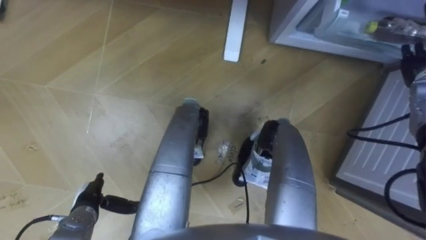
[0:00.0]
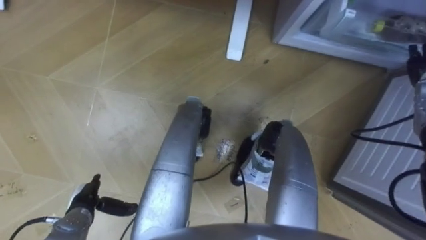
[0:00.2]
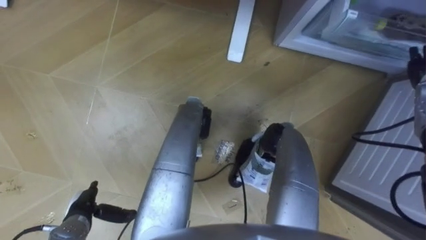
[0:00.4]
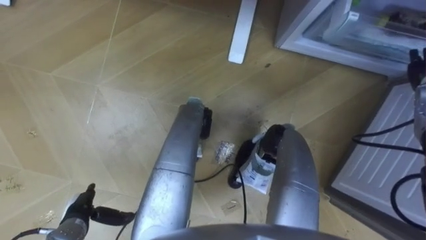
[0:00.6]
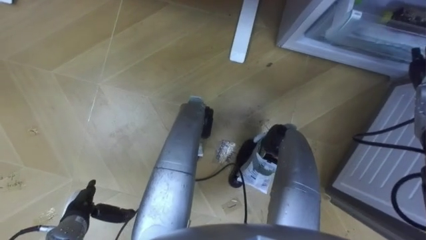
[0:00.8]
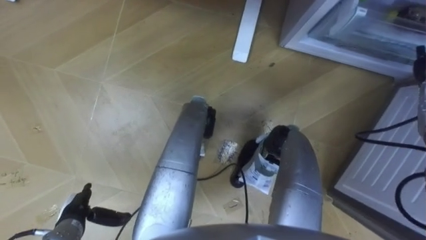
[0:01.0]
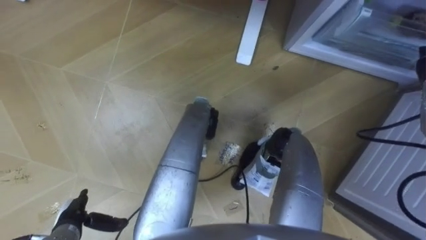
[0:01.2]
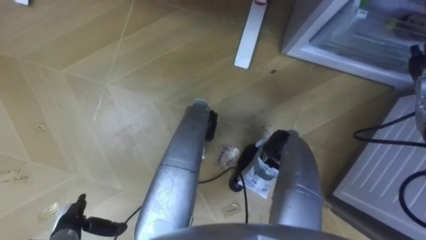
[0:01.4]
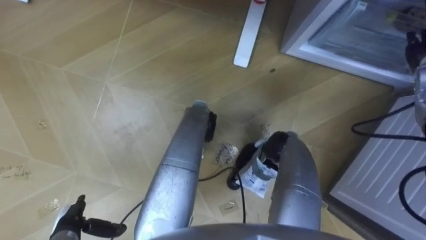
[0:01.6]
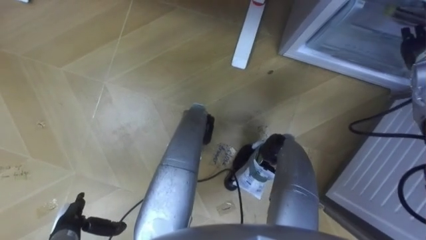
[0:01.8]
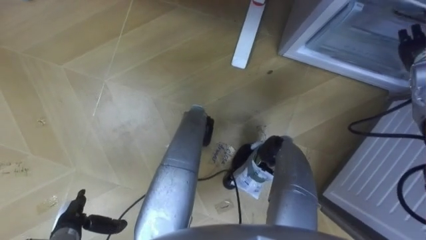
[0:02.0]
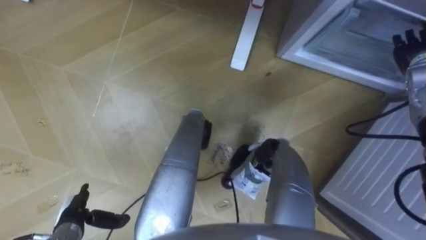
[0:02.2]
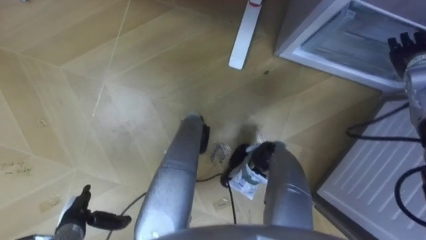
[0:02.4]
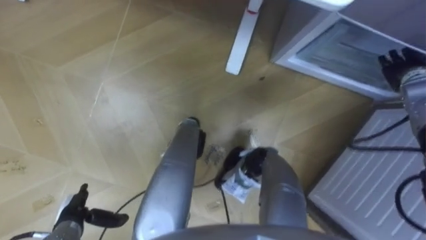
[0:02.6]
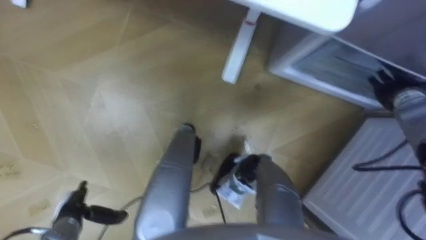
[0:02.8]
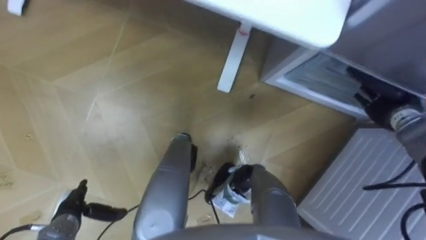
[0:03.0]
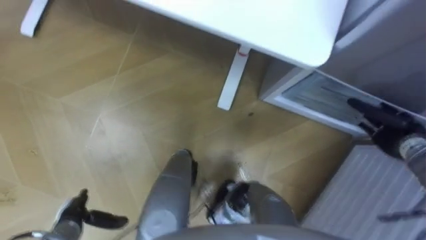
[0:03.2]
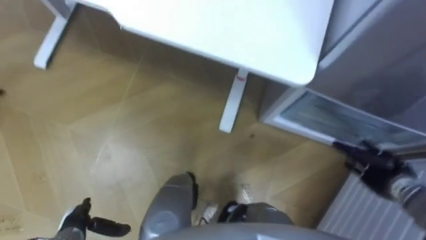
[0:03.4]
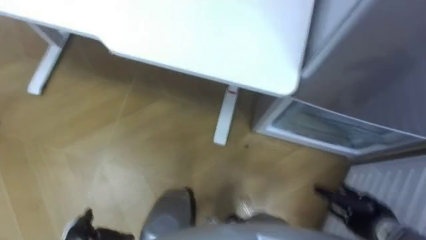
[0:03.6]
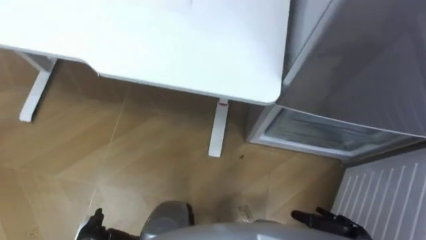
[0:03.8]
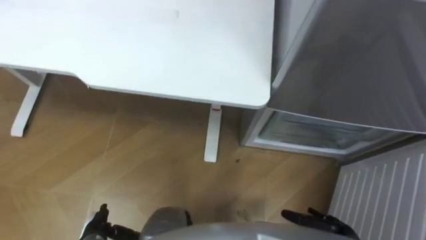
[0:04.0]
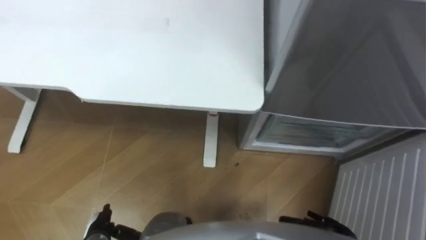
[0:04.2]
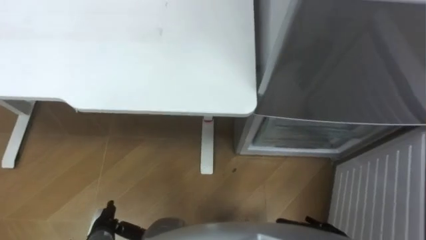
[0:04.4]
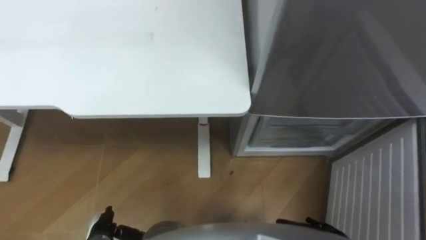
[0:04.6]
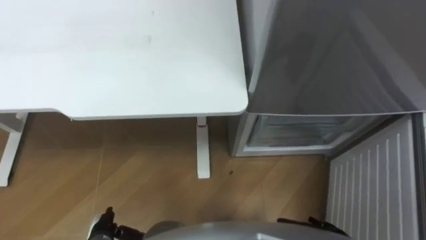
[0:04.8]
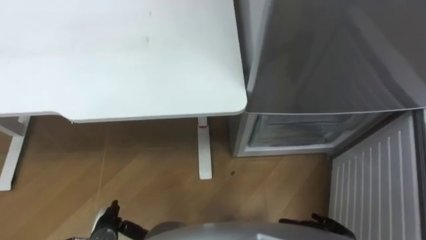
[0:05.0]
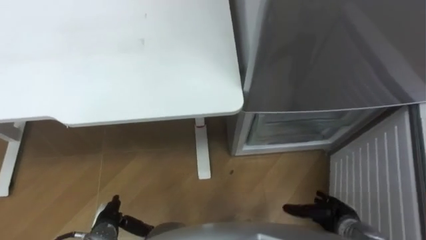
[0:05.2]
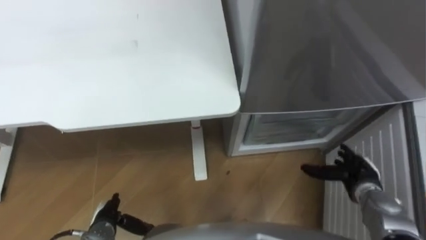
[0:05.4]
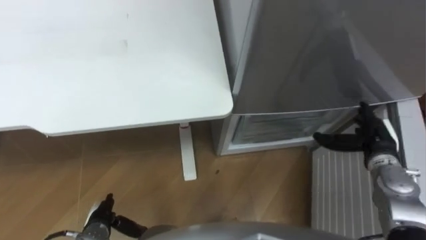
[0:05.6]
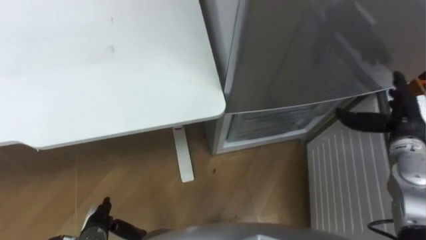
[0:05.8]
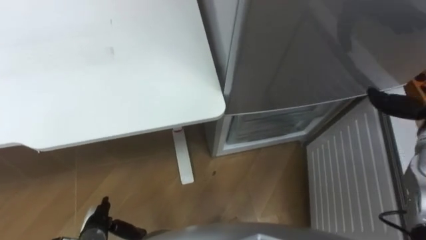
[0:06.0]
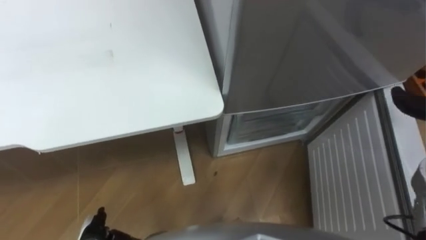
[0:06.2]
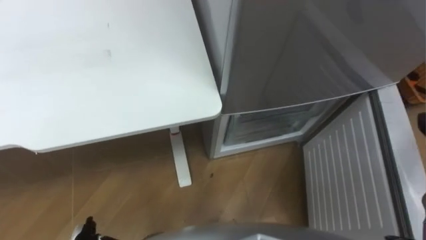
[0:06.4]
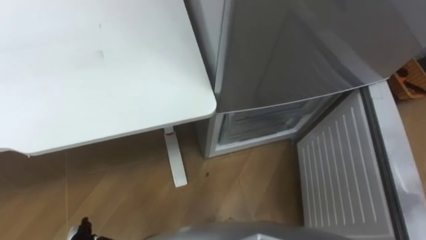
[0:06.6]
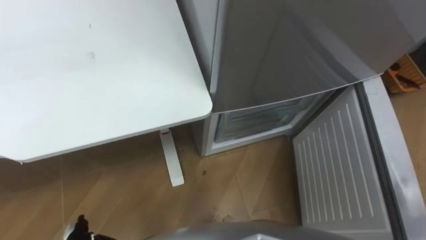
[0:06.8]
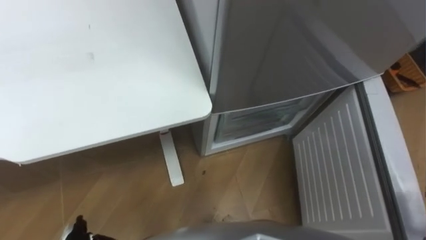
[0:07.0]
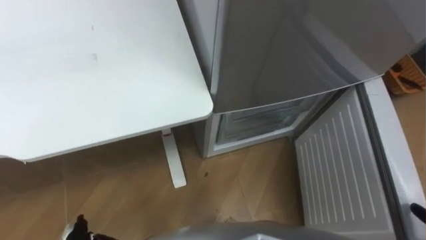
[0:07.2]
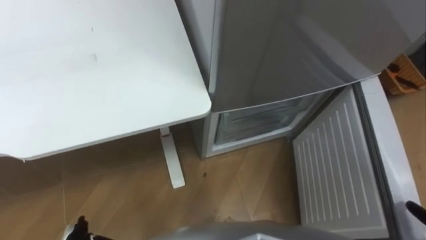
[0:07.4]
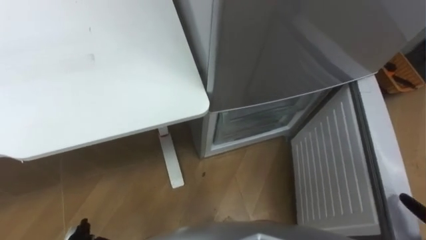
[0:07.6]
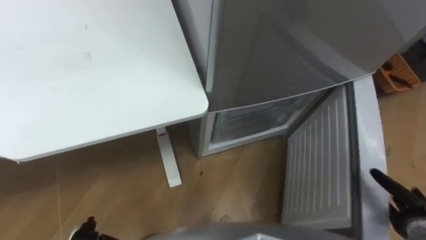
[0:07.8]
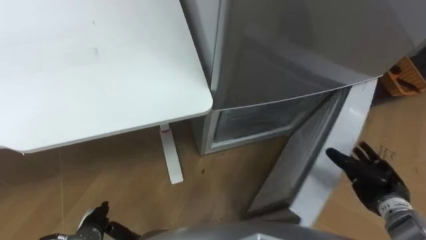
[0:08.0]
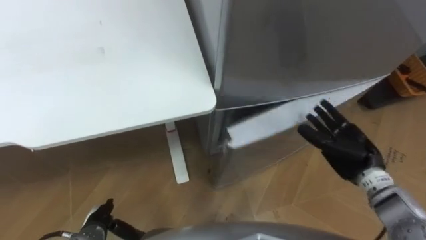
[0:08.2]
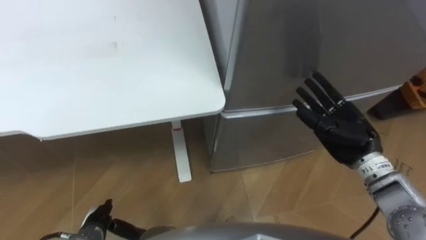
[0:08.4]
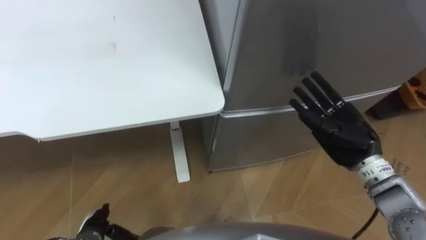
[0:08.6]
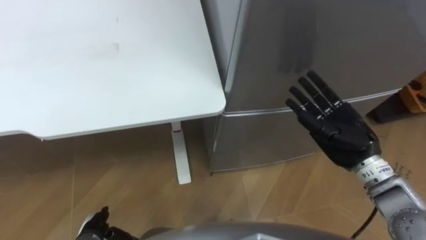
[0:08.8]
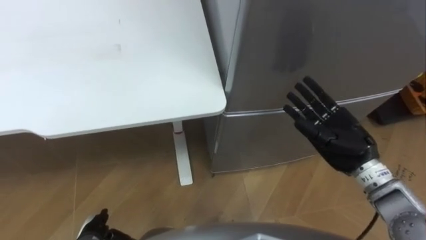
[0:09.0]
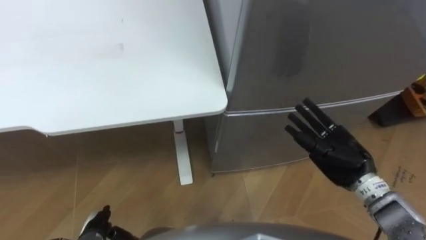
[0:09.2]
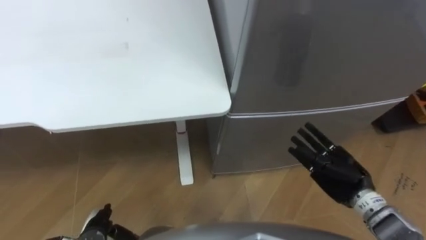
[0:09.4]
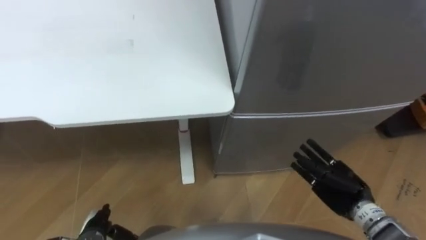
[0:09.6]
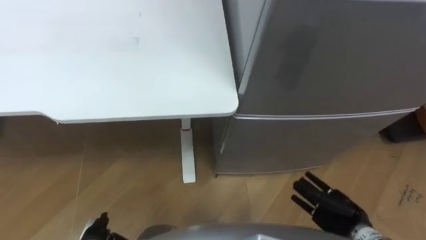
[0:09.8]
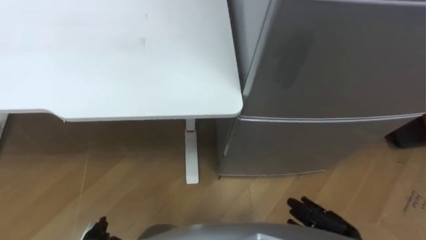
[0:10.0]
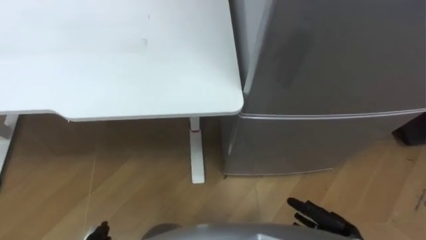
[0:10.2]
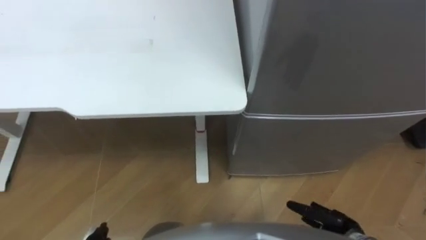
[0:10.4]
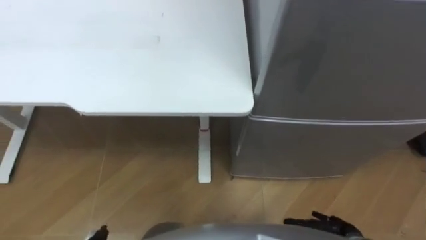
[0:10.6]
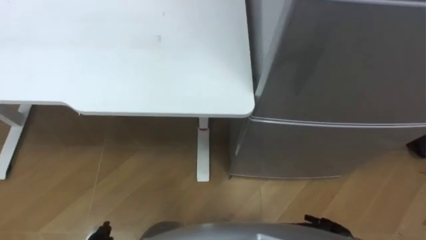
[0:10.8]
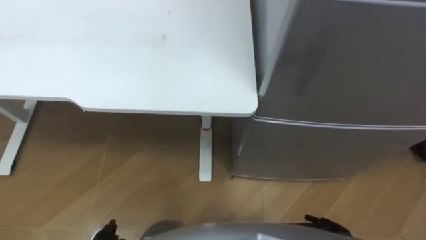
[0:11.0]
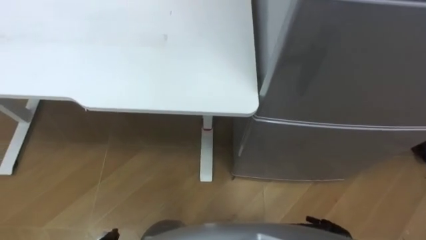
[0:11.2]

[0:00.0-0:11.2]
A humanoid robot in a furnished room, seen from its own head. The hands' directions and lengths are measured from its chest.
Task of the whole recording: Place the drink on the table on the bottom shelf of the refrigerator, then close the drawer and the refrigerator door.
0:00.0 to 0:01.6: The left hand goes about 5 cm backward.
0:01.6 to 0:03.2: The right hand heads downward and backward, covering approximately 15 cm.
0:03.2 to 0:04.8: The left hand moves to the right, about 5 cm.
0:08.0 to 0:09.6: The right hand heads to the left, covering approximately 10 cm, and moves roughly 10 cm upward and comes back.
0:09.6 to 0:11.2: The right hand moves backward and downward, approximately 15 cm.

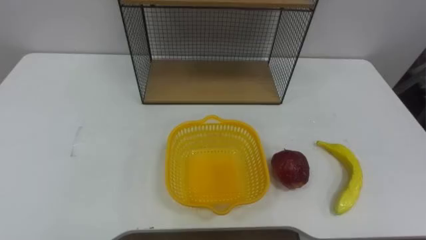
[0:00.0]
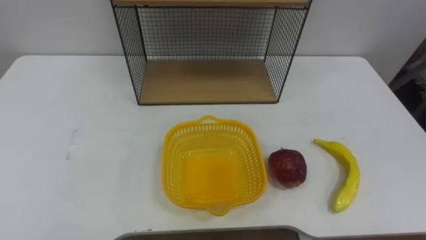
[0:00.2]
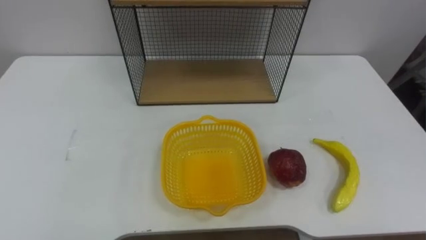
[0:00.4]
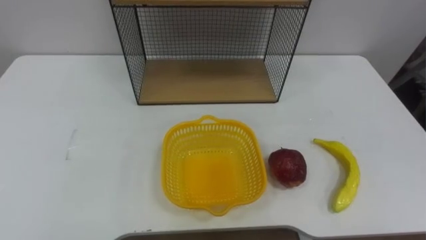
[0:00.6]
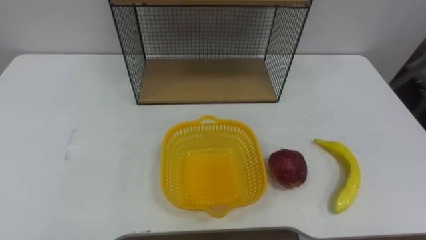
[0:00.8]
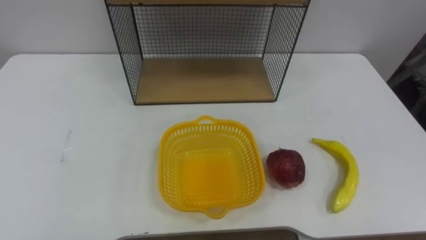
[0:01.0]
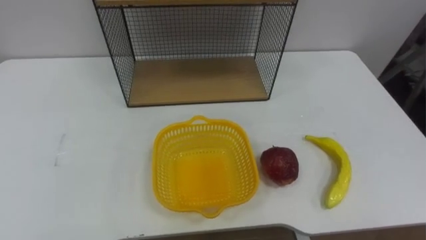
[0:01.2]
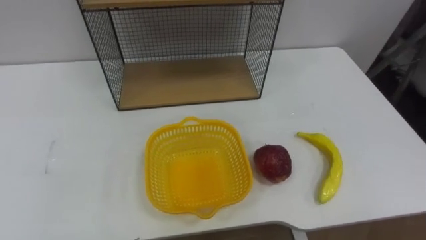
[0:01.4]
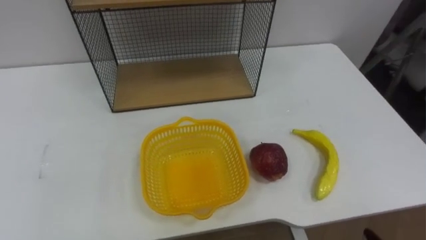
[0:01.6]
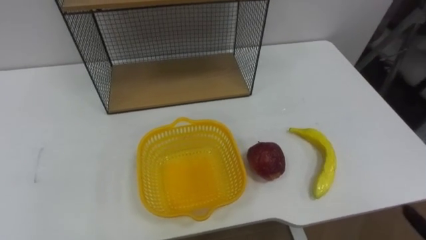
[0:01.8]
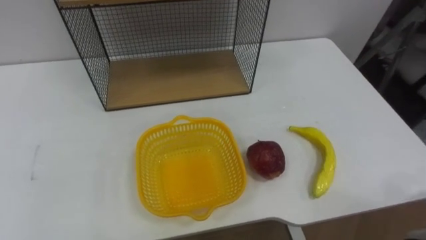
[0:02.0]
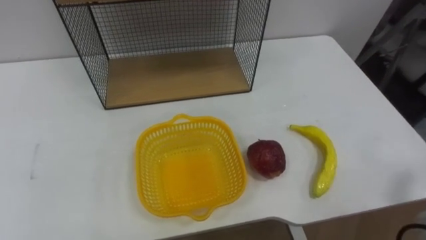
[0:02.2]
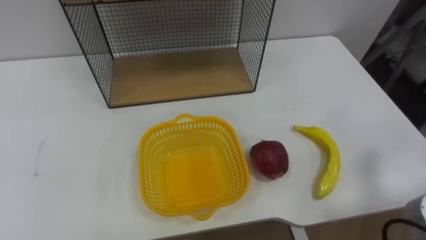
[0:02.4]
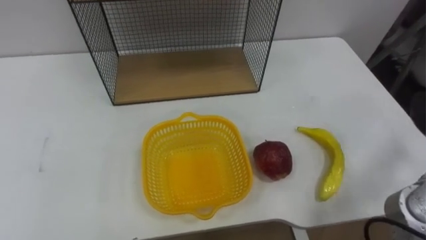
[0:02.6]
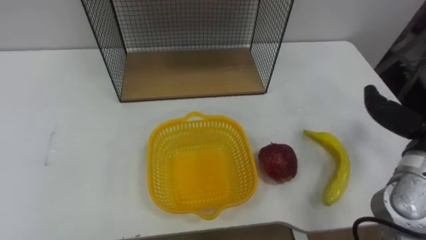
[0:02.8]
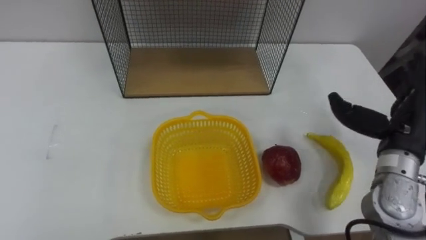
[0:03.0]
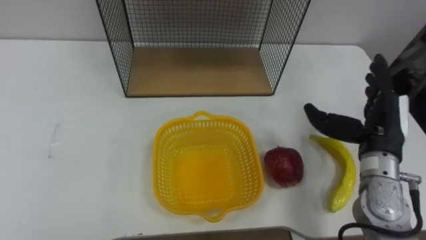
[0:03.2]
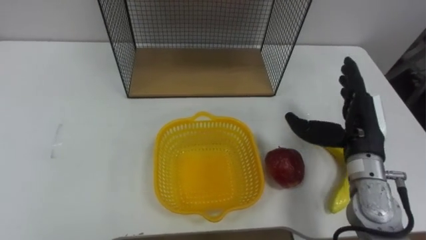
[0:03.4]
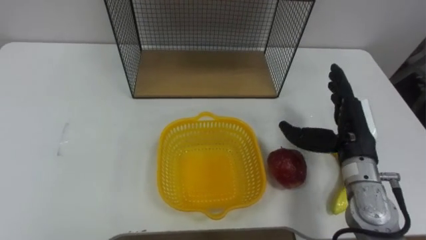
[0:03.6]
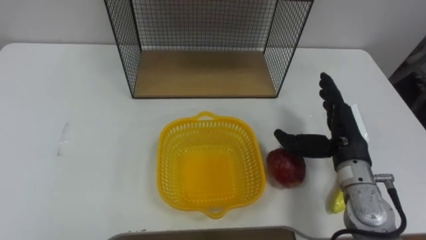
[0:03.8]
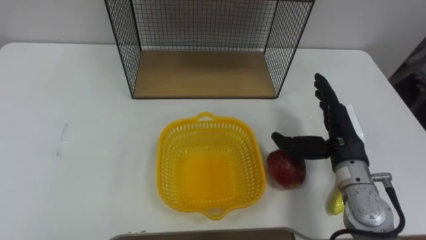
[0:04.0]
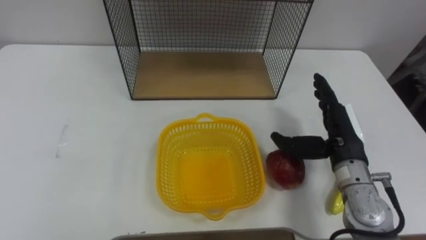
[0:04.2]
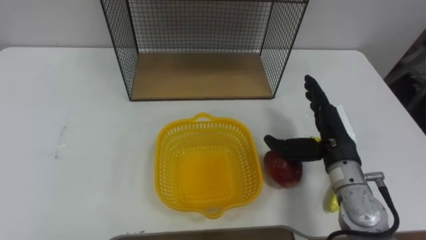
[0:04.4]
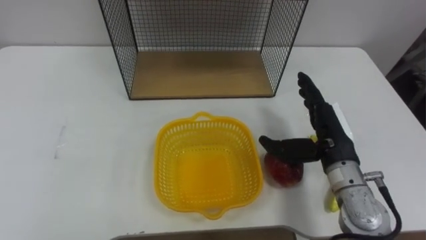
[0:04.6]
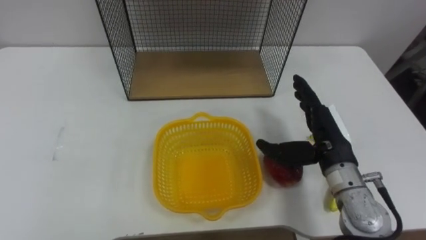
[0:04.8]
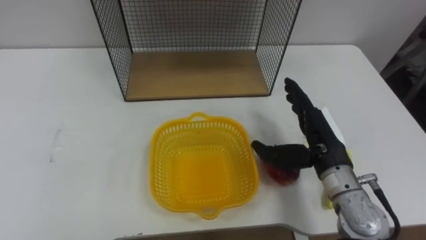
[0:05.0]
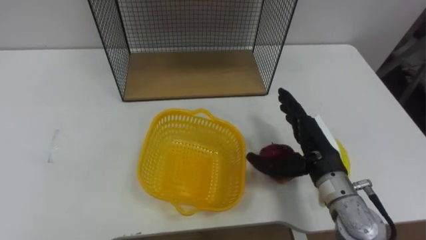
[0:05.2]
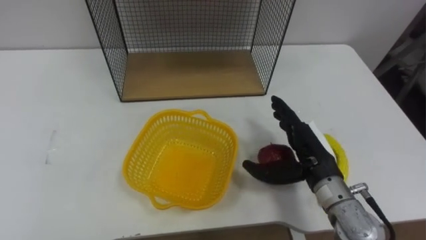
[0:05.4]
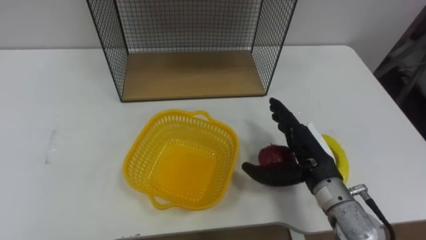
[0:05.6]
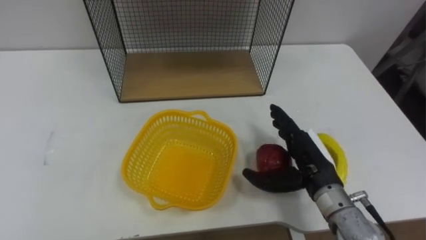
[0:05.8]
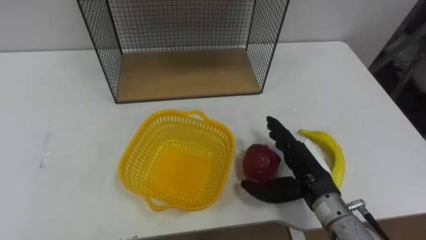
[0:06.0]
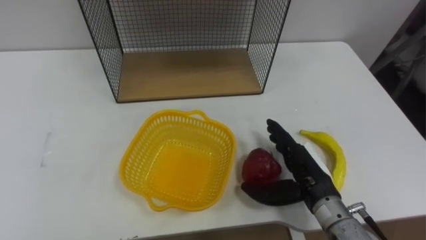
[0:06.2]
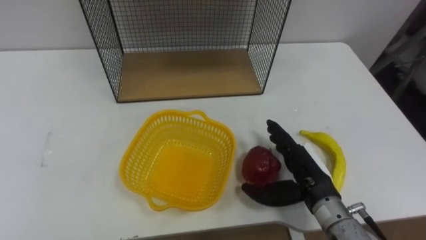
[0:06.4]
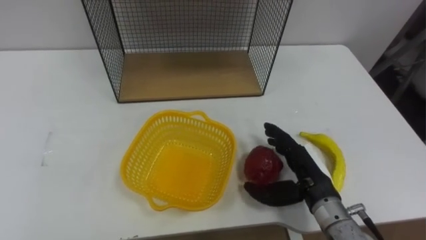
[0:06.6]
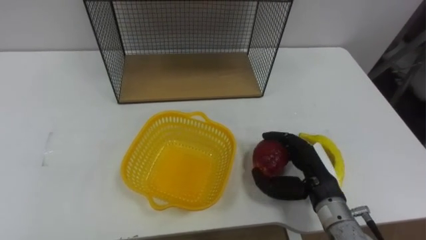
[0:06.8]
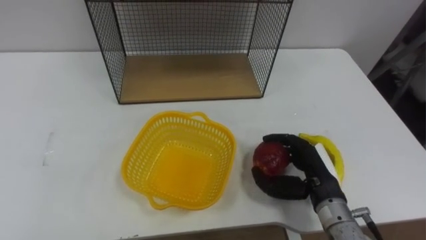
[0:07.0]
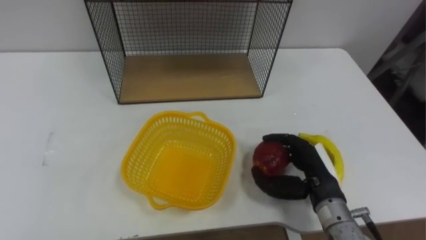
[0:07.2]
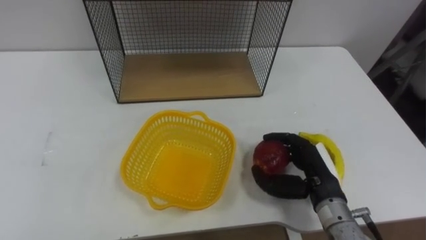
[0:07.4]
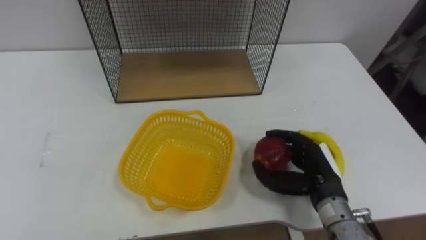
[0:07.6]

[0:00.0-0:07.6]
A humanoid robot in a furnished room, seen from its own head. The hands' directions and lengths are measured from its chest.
Task of the whole recording: Put the fruit on the table into the basket, then place the basket on the shelf.
0:03.0 to 0:04.6: The right hand travels to the left by roughly 10 cm.
0:04.6 to 0:06.0: The right hand ends up approximately 5 cm from where it was.
0:06.0 to 0:07.6: The right hand closes.
